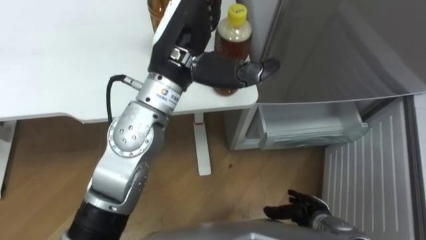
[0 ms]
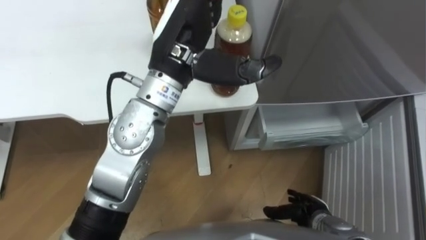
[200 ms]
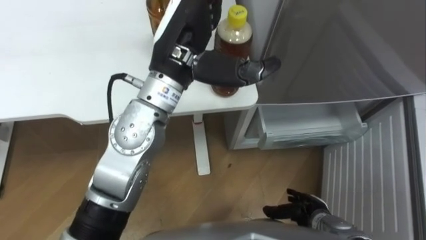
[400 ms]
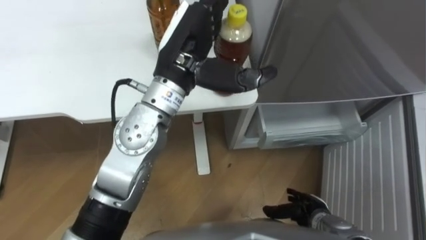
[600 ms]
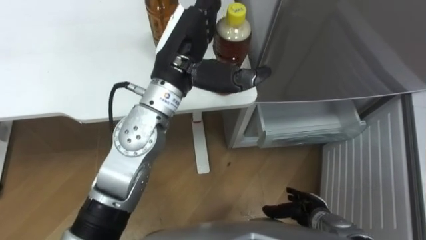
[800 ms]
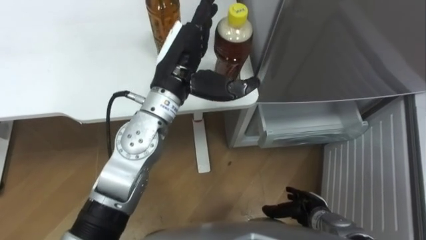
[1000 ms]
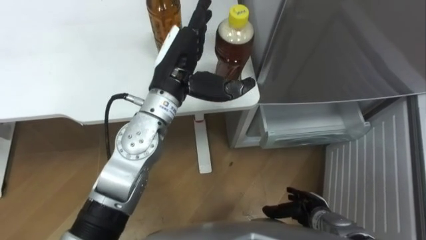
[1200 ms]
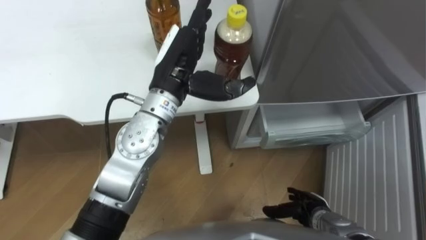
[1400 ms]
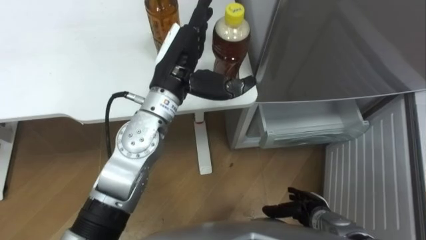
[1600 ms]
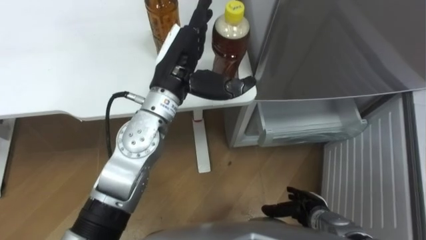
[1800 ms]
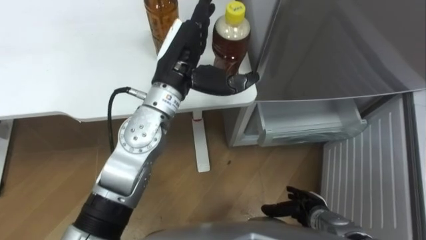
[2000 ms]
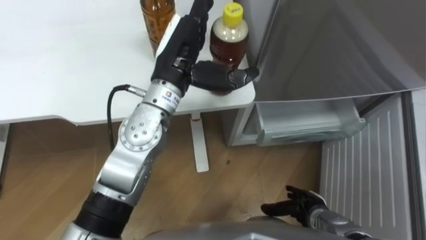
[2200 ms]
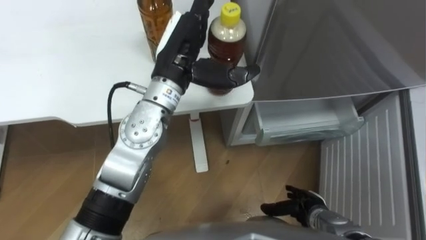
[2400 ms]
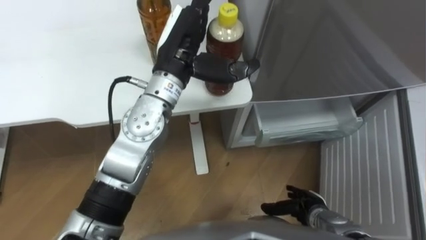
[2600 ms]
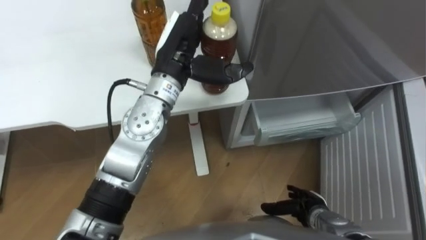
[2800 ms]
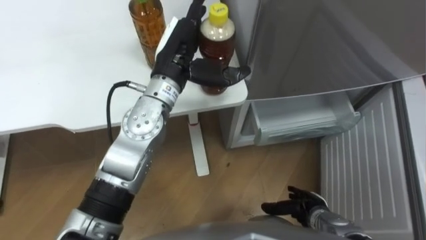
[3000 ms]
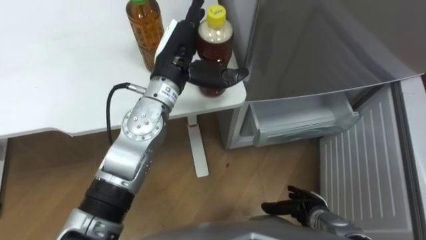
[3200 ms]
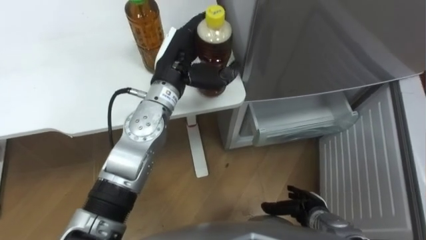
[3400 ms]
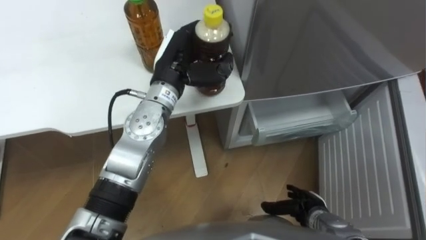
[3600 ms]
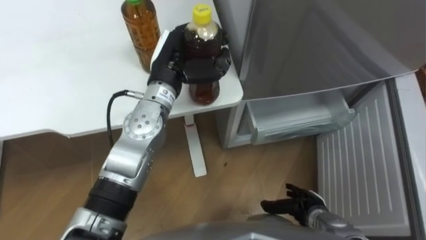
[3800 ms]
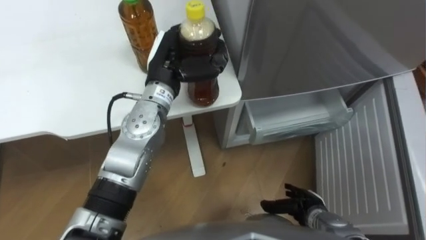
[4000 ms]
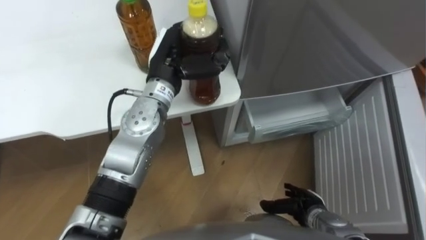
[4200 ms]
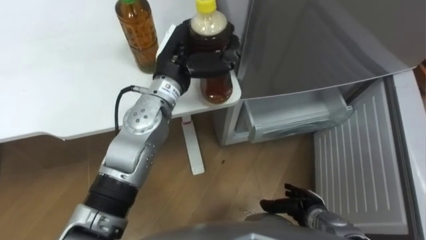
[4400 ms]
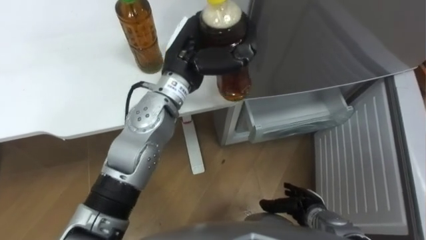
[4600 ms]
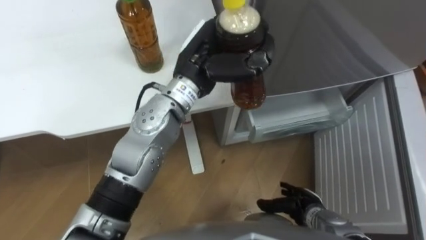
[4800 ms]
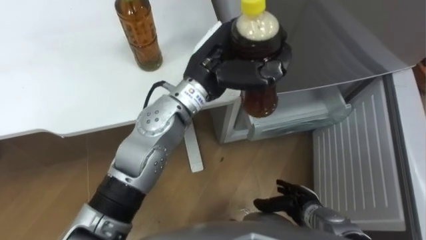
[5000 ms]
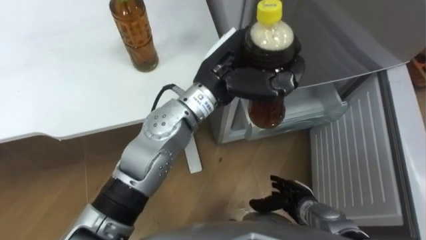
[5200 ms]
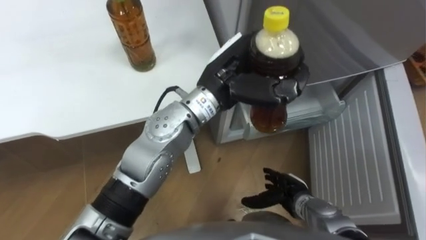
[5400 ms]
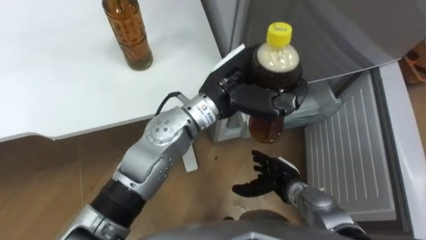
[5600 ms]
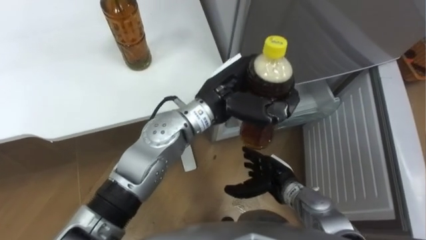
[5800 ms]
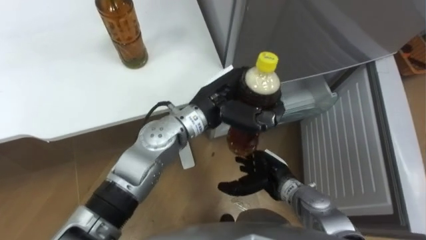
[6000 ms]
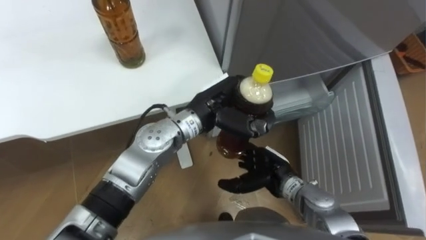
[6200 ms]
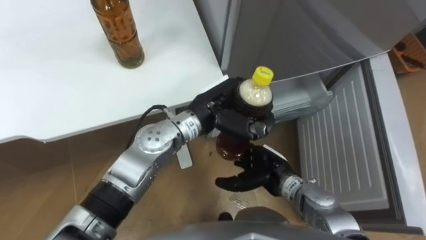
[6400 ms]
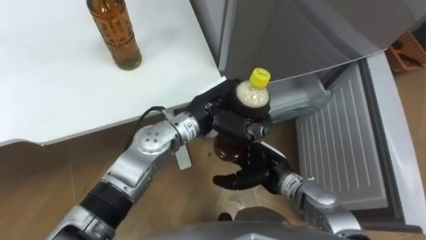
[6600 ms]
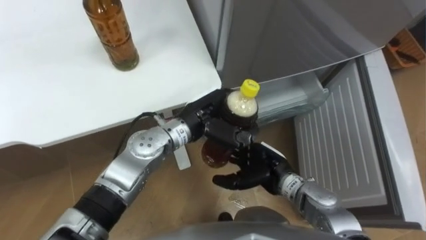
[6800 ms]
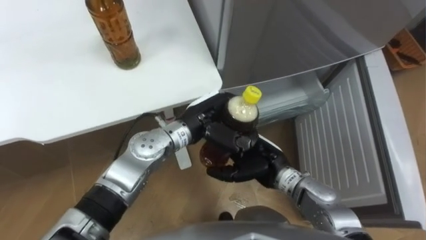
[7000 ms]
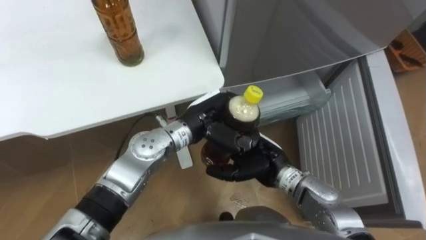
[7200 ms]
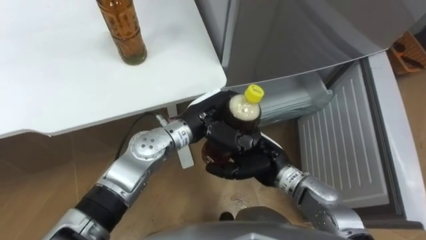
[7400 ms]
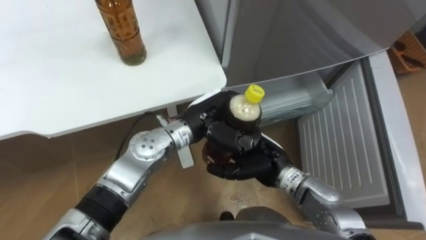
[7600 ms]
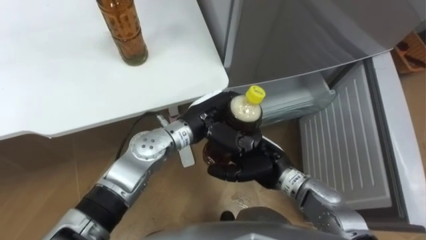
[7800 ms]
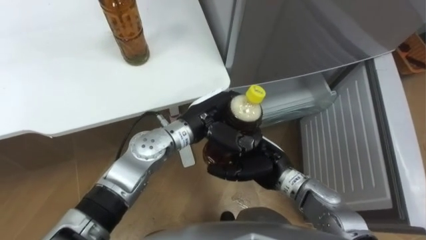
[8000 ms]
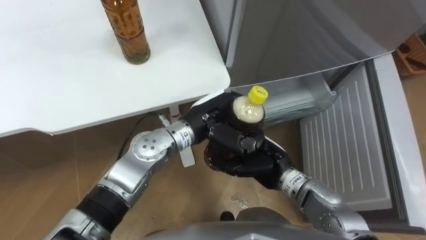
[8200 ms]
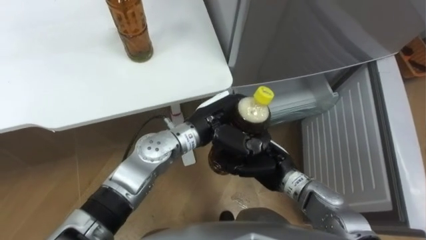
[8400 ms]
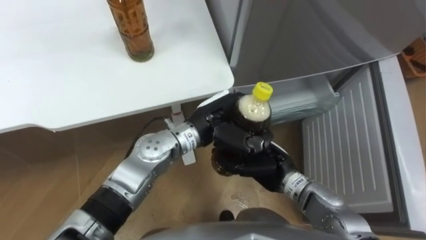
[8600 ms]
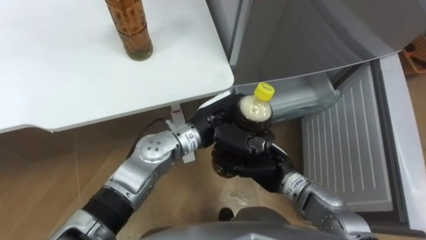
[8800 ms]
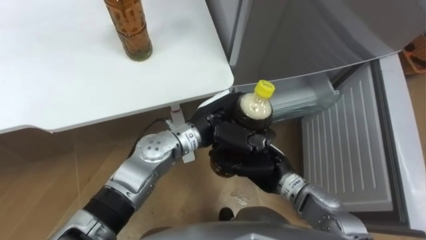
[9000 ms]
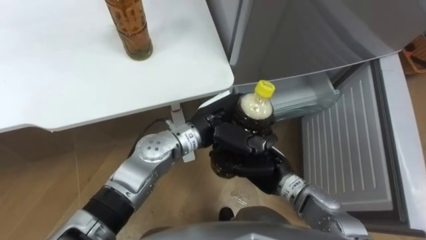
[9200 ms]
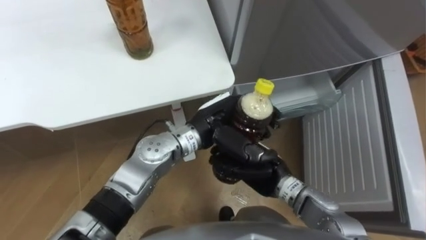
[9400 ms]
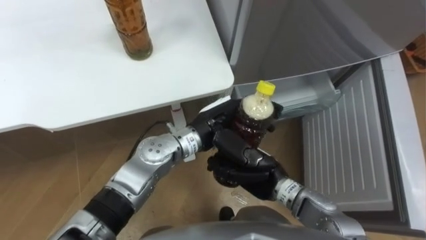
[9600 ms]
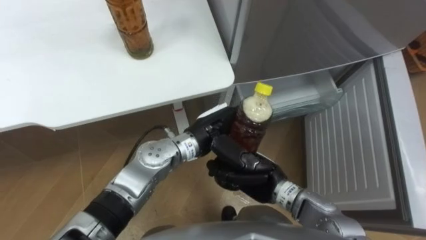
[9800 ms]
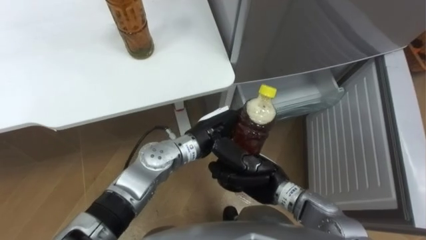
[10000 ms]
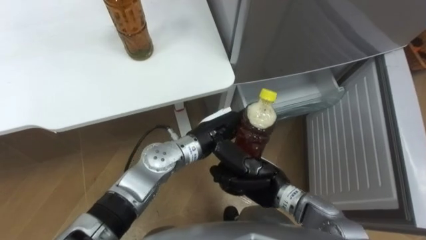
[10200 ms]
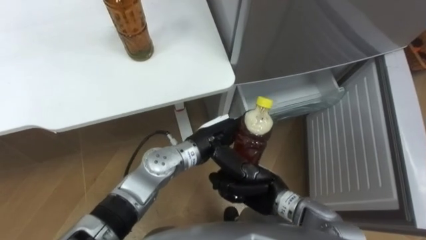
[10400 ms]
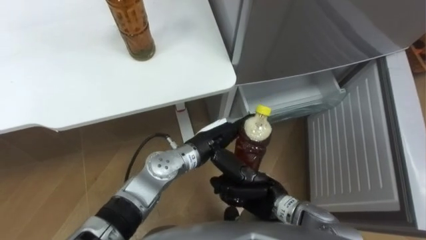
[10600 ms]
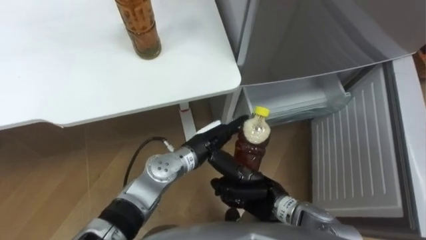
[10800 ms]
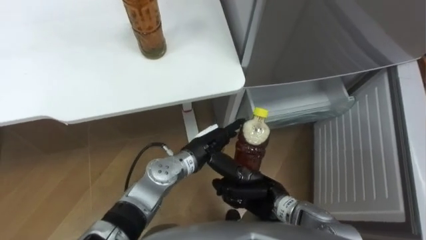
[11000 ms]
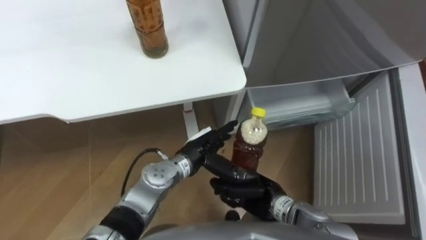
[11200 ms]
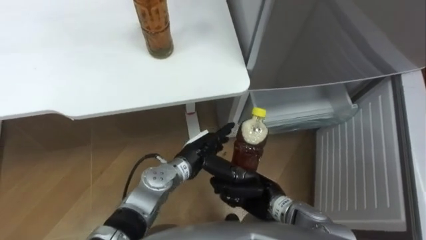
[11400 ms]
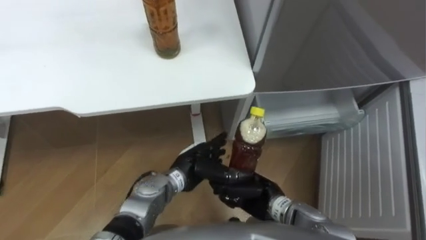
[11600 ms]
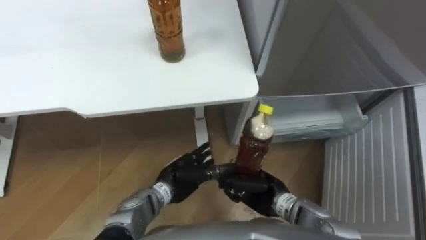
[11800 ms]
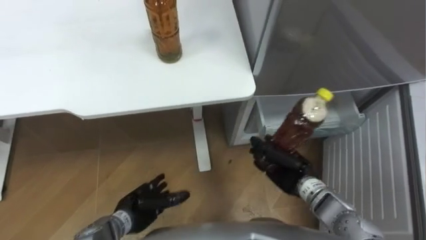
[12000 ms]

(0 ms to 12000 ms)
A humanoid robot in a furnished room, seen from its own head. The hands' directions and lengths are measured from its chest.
Task of the whole recording: Place the drink on the table on the bottom shelf of the refrigerator, then close the drawer and the refrigerator door.
0 ms - 1600 ms: The left hand heads downward, covering approximately 5 cm.
3000 ms - 4400 ms: The left hand closes up.
4400 ms - 6000 ms: The right hand moves to the left, upward and forward, about 15 cm; the left hand is displaced to the right and backward by some 10 cm.
6000 ms - 7600 ms: The left hand moves about 5 cm. The right hand goes roughly 5 cm upward.
7600 ms - 9000 ms: The right hand closes its fingers.
9000 ms - 10400 ms: The left hand heads downward, covering some 5 cm, and opens its fingers.
10400 ms - 12000 ms: The right hand moves to the right, some 5 cm, while the left hand moves to the left, downward and backward, some 25 cm.

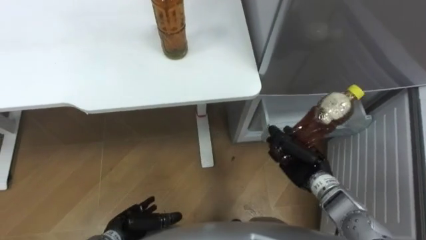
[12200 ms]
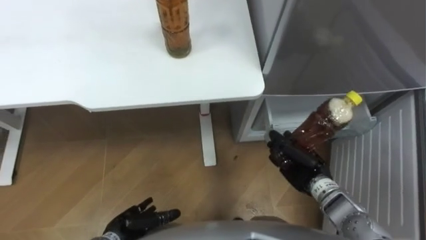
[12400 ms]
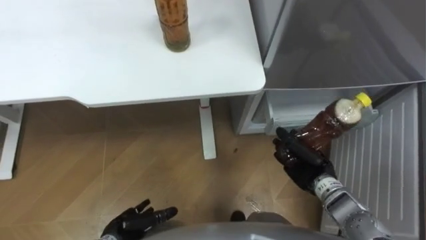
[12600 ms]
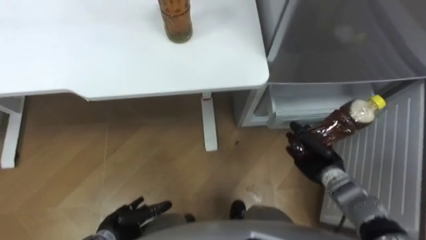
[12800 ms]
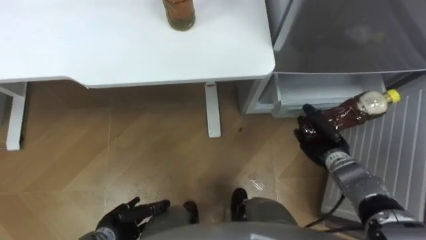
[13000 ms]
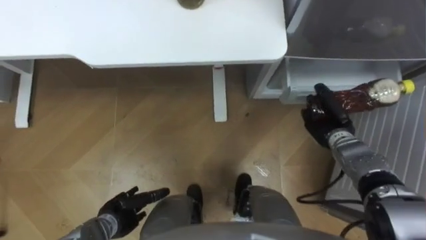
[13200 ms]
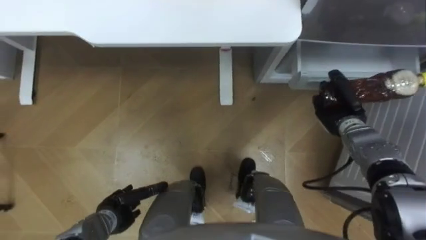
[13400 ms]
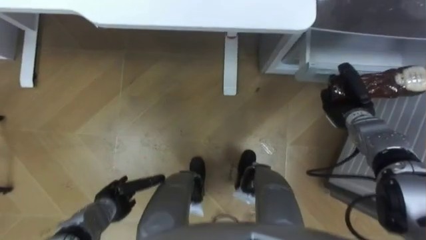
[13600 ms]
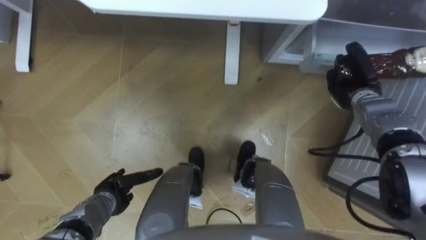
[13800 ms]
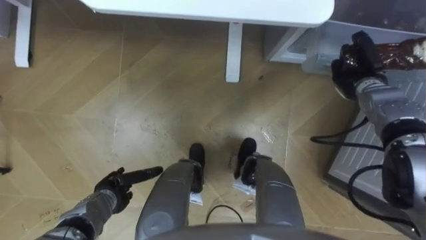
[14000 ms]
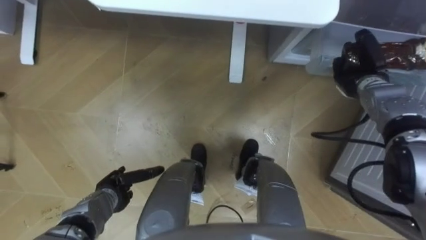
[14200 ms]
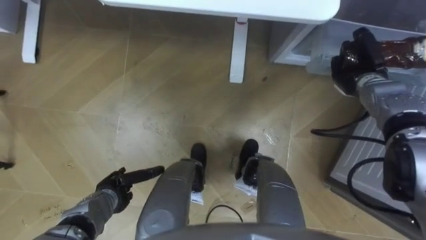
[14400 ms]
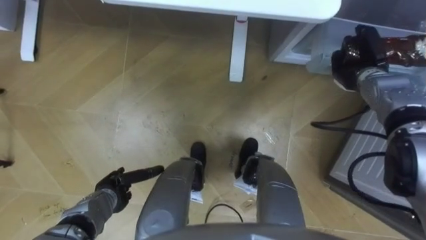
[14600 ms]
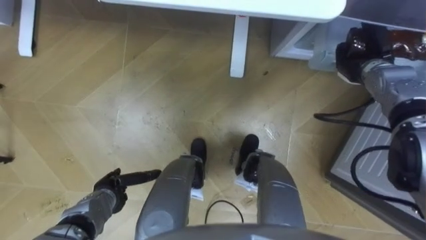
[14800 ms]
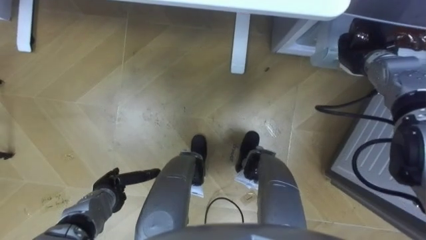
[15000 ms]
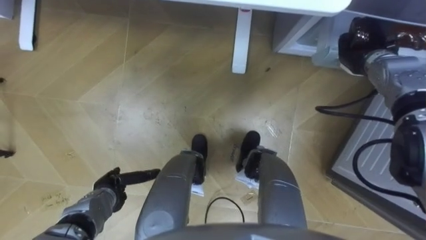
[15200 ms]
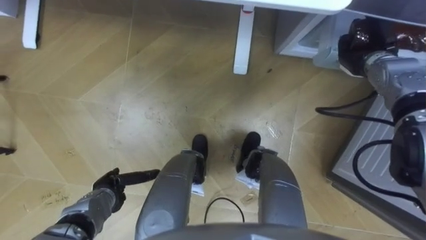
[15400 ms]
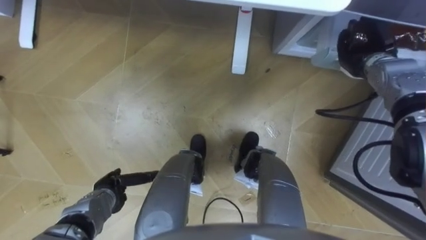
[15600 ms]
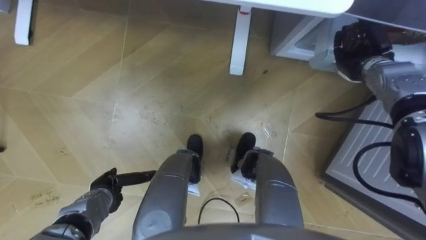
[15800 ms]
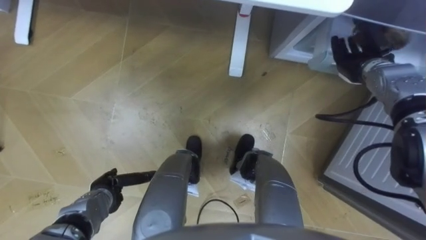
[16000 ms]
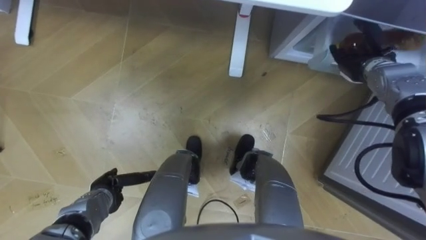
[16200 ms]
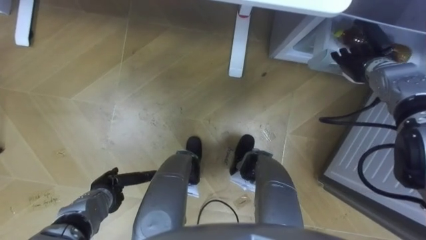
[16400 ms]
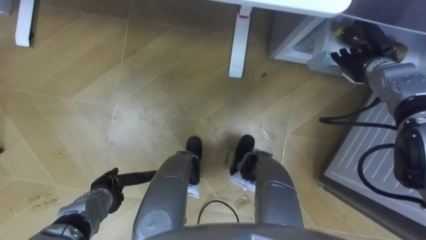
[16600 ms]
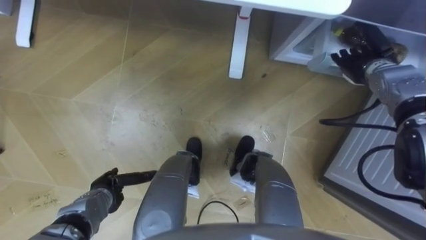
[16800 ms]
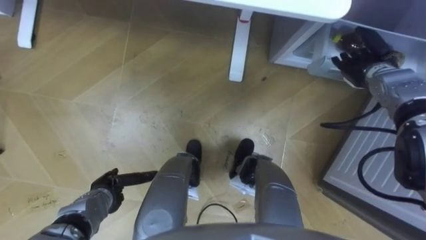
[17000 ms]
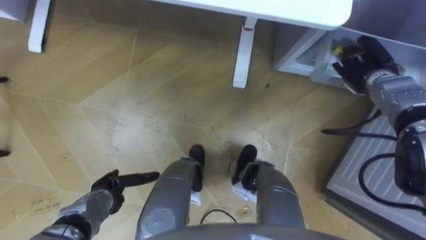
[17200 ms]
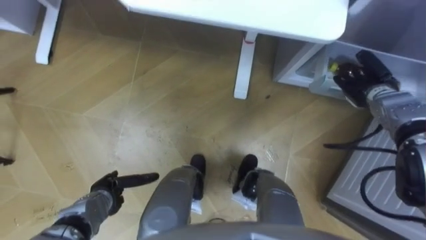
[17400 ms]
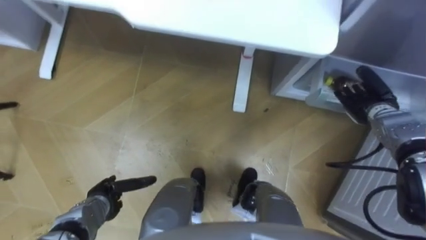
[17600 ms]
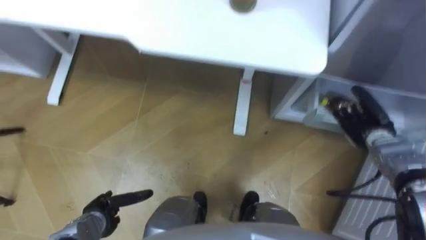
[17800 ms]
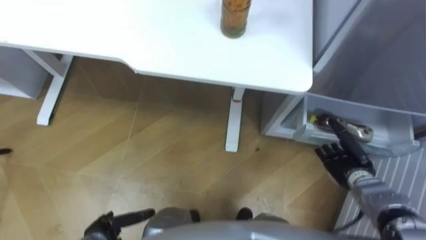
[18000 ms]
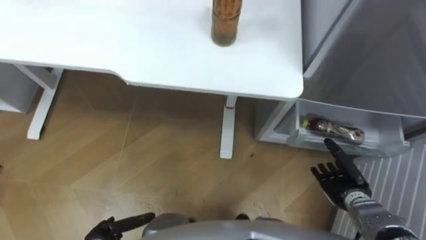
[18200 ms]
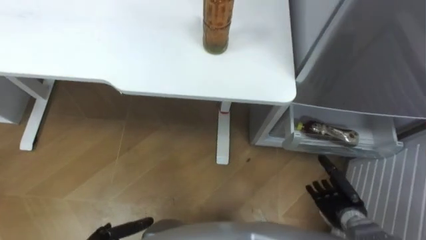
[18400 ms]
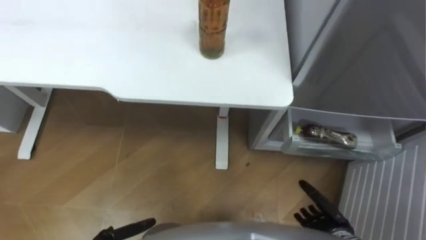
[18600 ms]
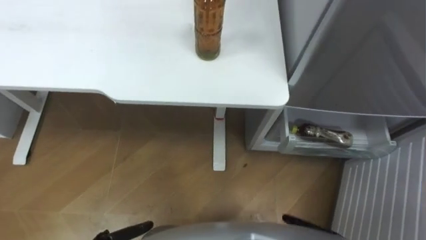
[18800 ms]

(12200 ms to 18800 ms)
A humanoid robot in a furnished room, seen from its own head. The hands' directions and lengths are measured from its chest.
Task of the whole recording: Place the drink on the table on the bottom shelf of the refrigerator, then close the drawer and the refrigerator door.
12200 ms - 13800 ms: The right hand moves forward and to the right, approximately 20 cm; the left hand goes roughly 5 cm forward.
13800 ms - 15400 ms: The right hand travels upward by about 5 cm.
15400 ms - 17200 ms: The right hand opens up.
